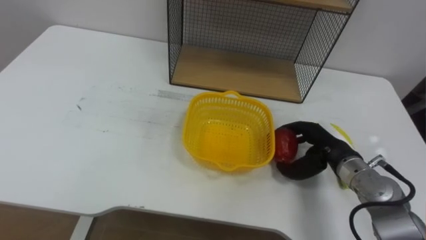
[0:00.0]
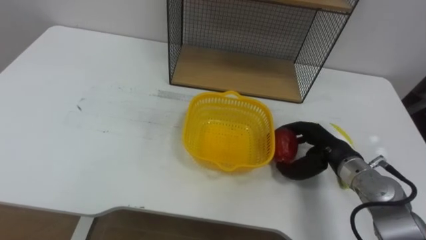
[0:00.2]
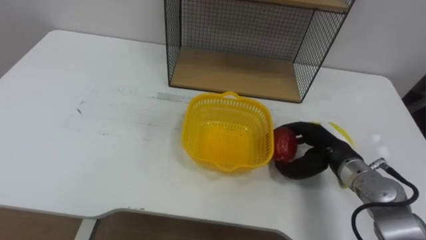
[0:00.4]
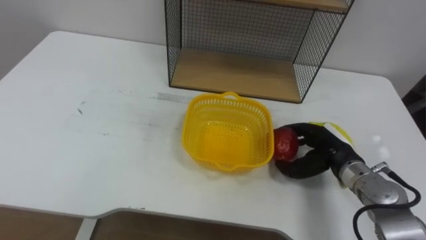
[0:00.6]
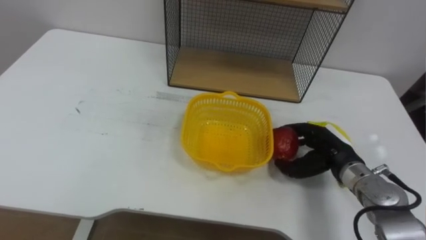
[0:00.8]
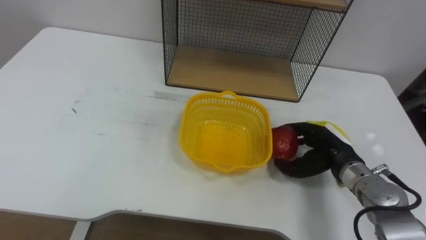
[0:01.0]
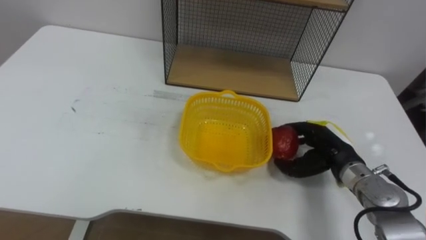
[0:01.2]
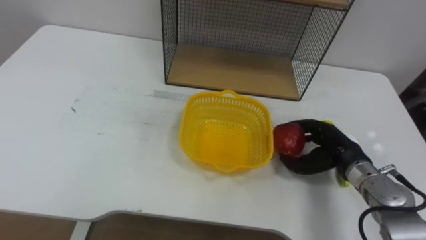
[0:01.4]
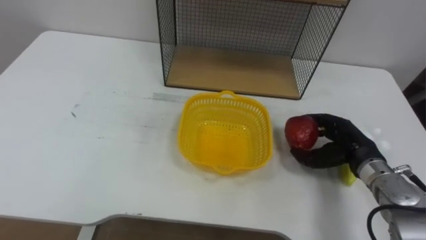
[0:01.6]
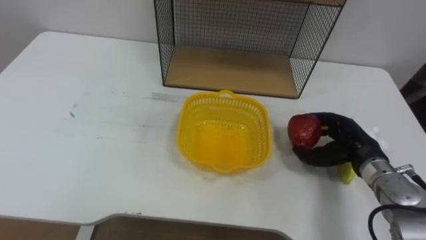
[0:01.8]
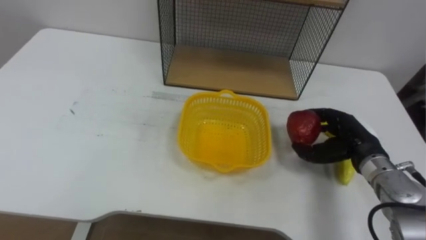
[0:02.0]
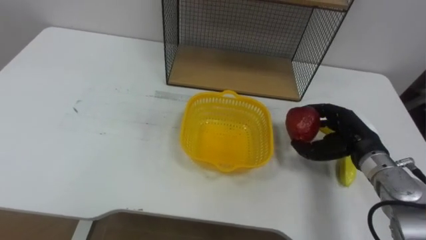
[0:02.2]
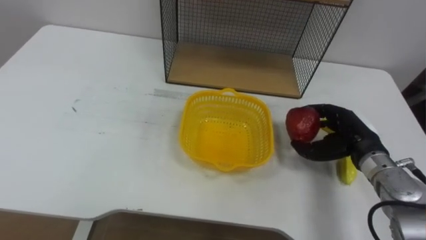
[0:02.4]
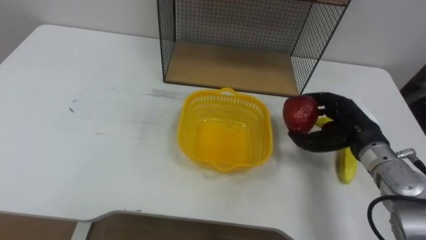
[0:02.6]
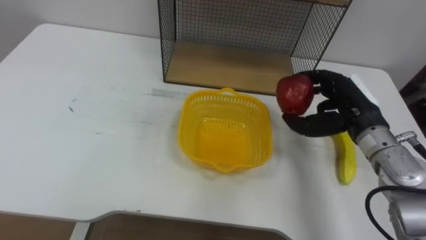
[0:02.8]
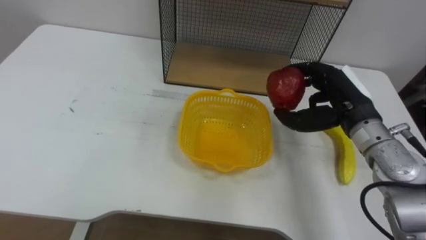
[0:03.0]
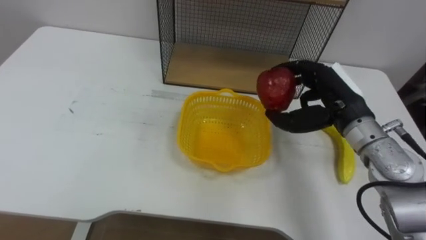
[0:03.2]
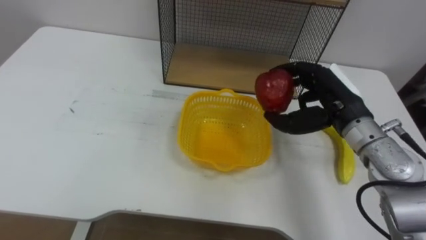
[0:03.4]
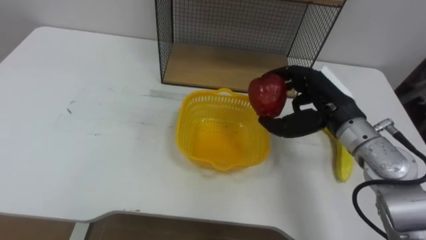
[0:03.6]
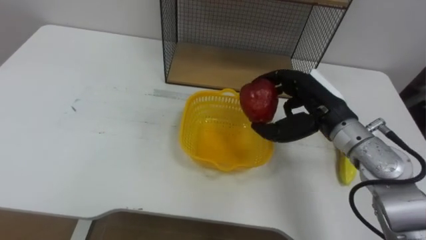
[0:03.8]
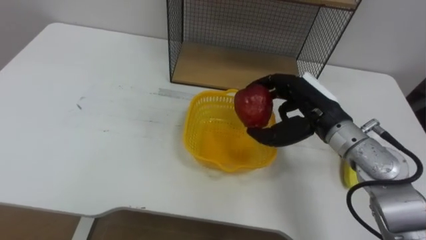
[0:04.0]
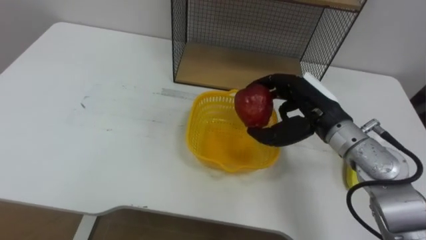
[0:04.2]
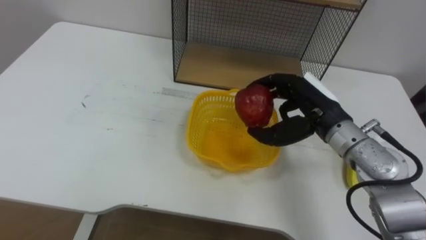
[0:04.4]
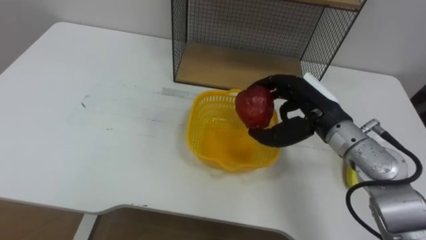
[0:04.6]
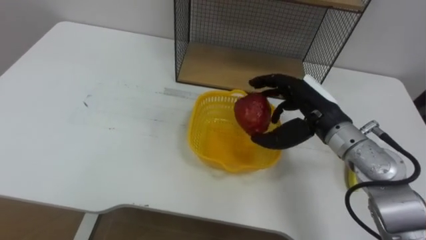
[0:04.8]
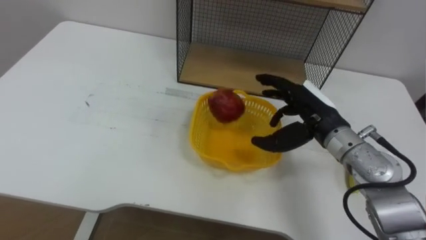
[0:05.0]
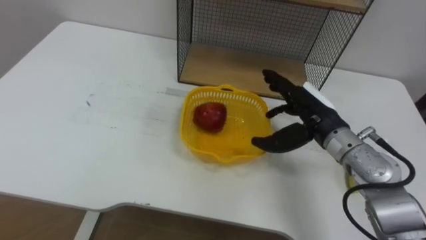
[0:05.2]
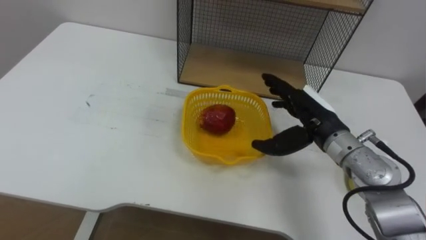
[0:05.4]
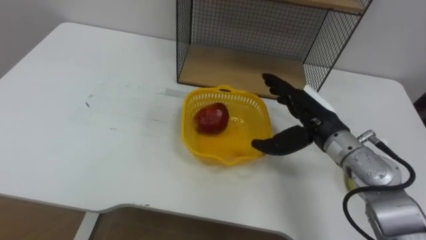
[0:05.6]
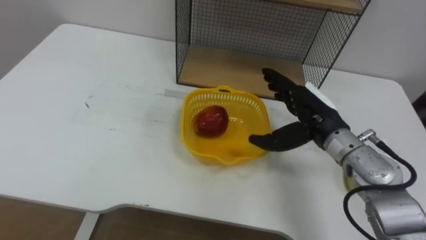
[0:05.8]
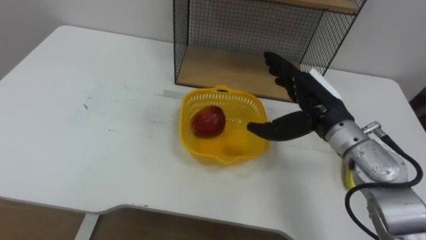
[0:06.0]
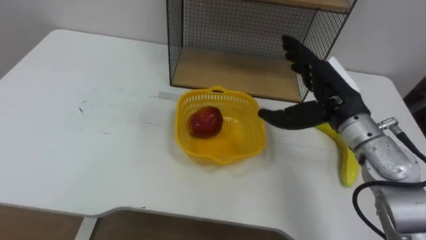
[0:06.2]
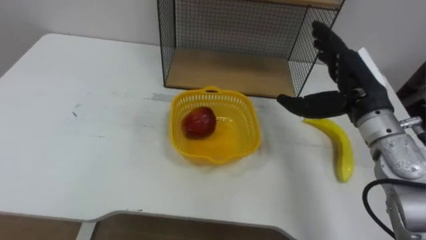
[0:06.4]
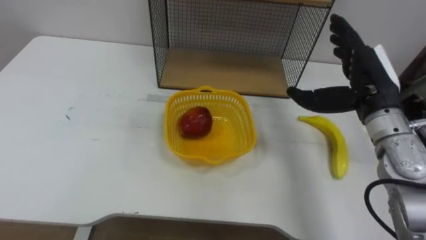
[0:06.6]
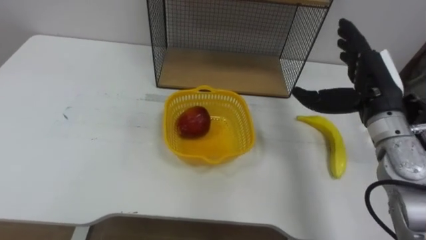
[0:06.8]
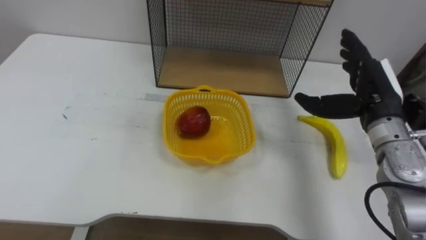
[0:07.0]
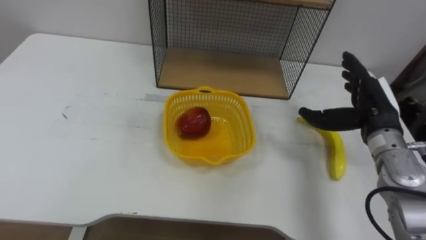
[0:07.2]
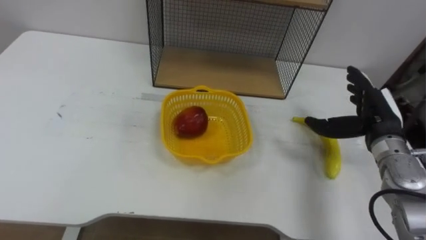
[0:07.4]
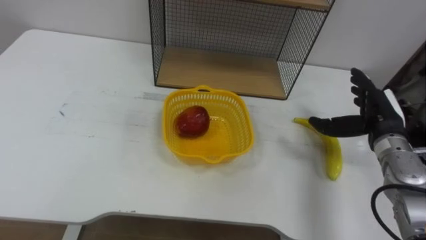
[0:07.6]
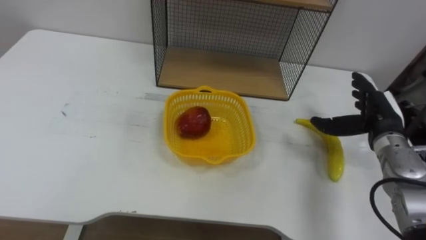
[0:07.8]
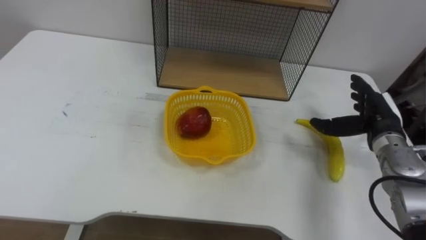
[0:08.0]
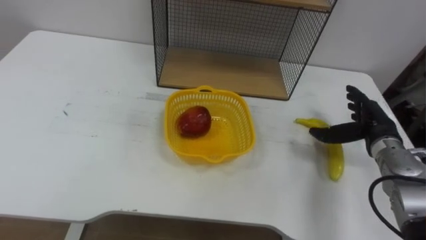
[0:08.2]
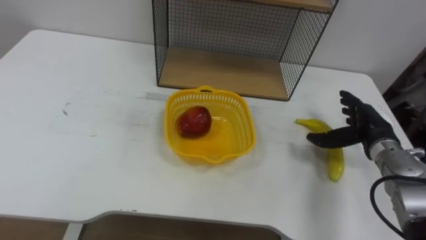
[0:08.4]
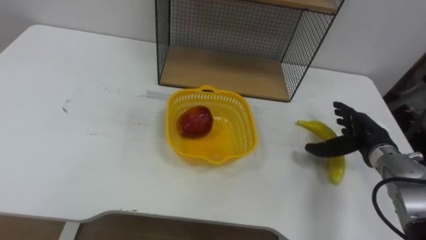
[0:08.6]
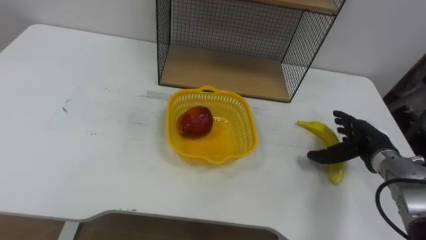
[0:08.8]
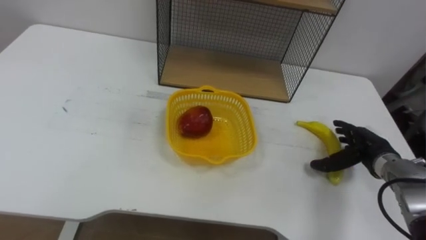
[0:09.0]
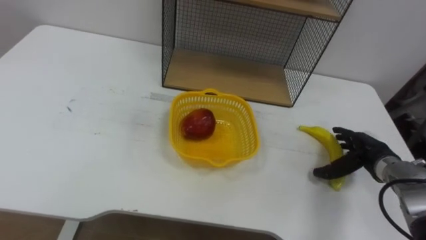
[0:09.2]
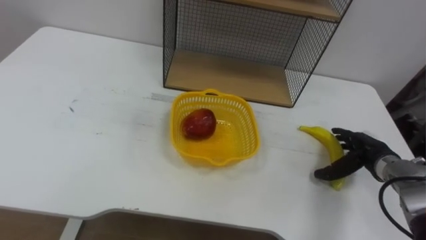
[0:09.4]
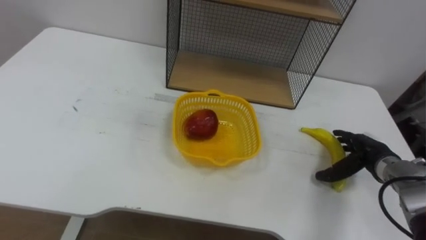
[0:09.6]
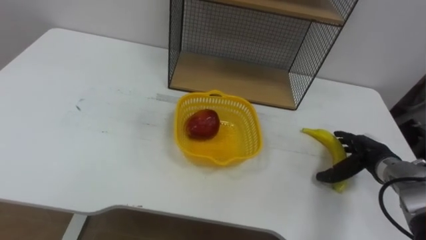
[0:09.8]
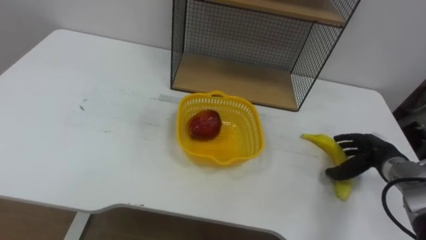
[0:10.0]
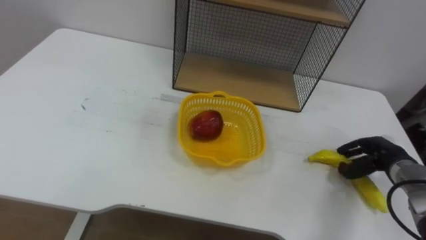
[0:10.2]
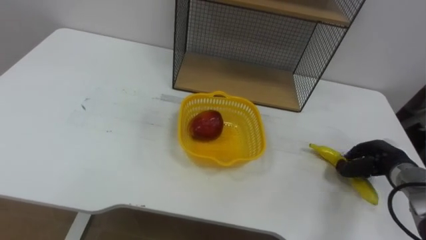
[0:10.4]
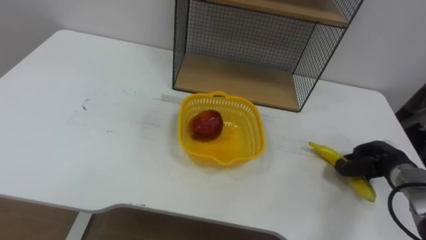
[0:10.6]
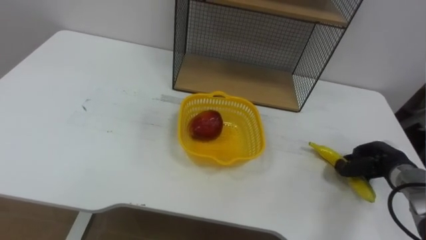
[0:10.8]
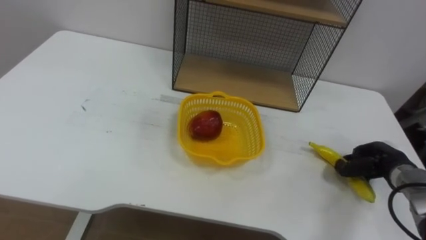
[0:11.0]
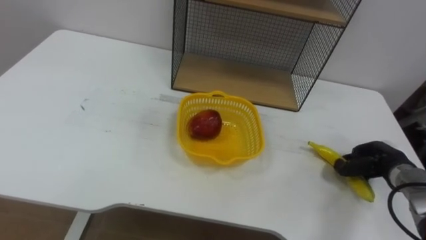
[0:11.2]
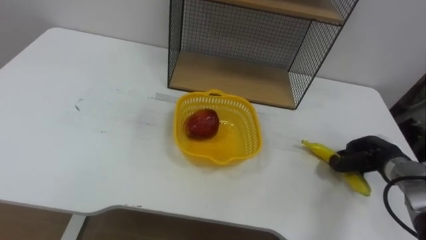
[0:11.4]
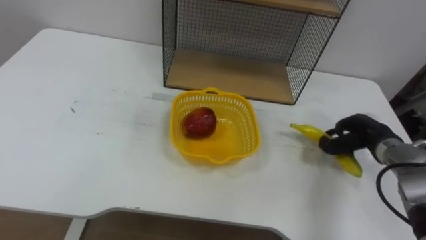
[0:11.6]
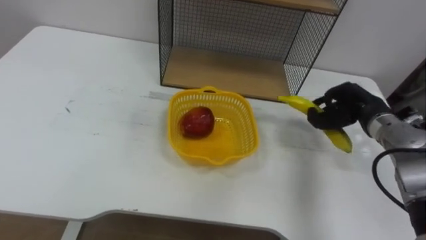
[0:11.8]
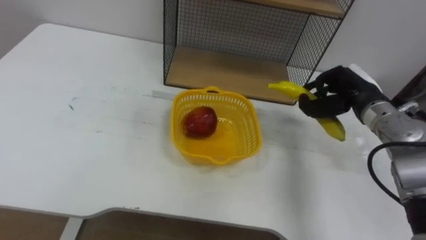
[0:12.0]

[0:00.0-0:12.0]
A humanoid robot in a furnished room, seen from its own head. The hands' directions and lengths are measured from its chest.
Task of the whole recording: Put the fruit on the table into the basket, then place the basket on the shelf.
0:01.6 to 0:03.0: The right hand moves upward, roughly 10 cm.
0:03.0 to 0:04.4: The right hand goes approximately 5 cm to the left.
0:04.4 to 0:06.0: The right hand opens its fingers.
0:06.0 to 0:07.6: The right hand goes some 15 cm to the right and downward.
0:07.6 to 0:09.0: The right hand heads downward, covering about 10 cm.
0:09.0 to 0:10.4: The right hand closes its fingers.
0:10.4 to 0:12.0: The right hand heads upward, to the left and forward, covering roughly 15 cm.

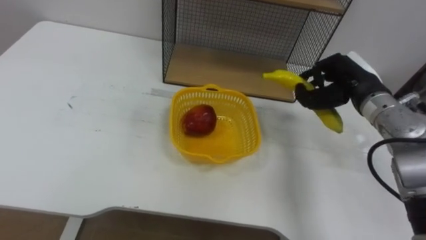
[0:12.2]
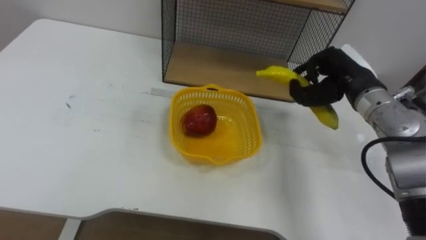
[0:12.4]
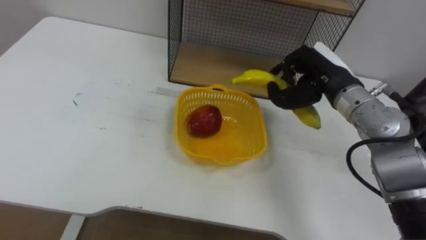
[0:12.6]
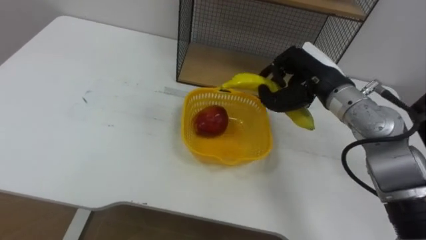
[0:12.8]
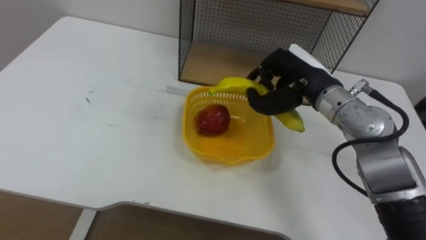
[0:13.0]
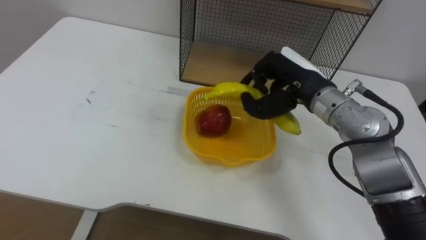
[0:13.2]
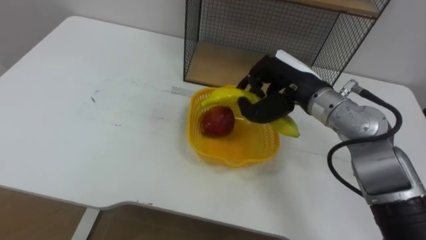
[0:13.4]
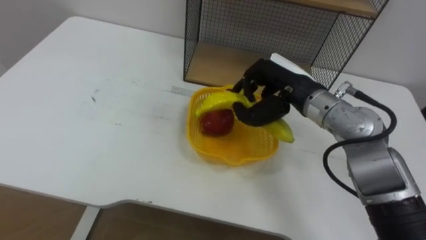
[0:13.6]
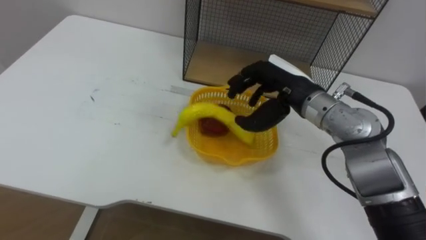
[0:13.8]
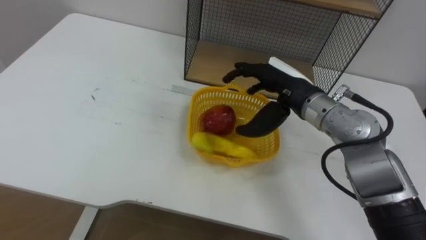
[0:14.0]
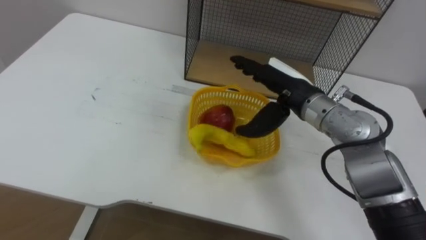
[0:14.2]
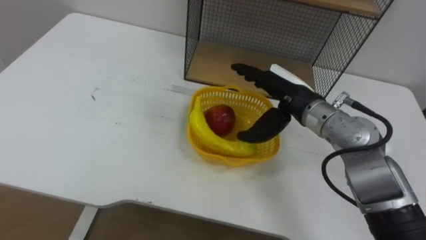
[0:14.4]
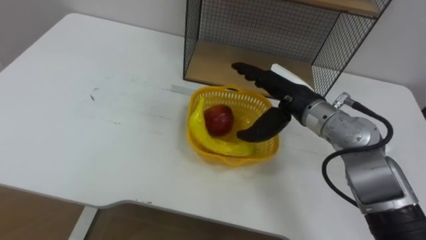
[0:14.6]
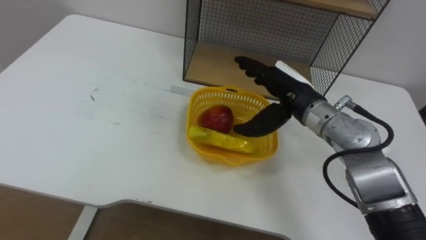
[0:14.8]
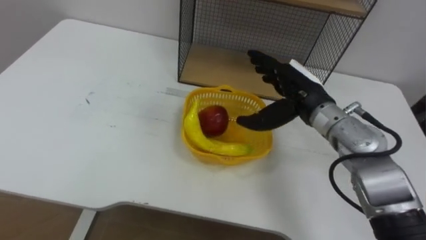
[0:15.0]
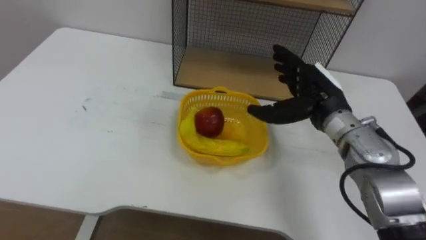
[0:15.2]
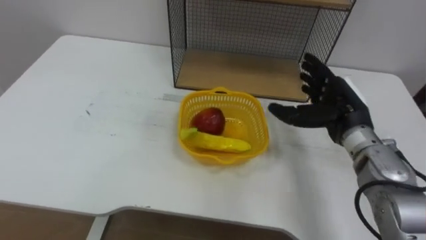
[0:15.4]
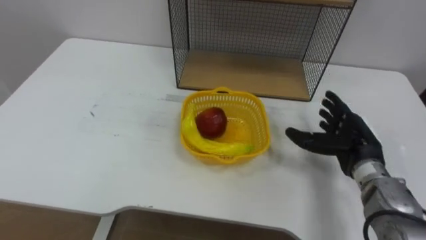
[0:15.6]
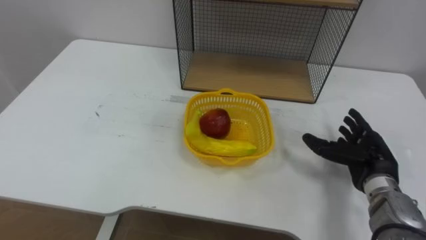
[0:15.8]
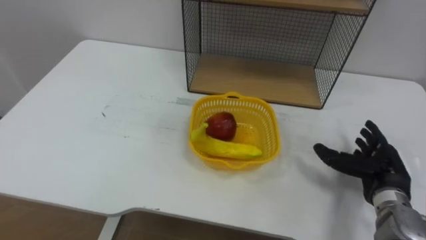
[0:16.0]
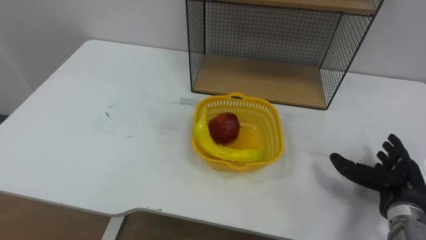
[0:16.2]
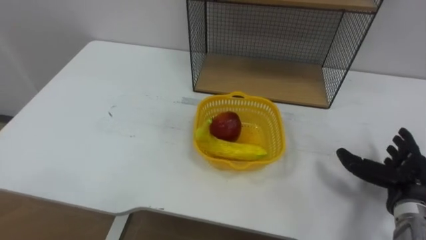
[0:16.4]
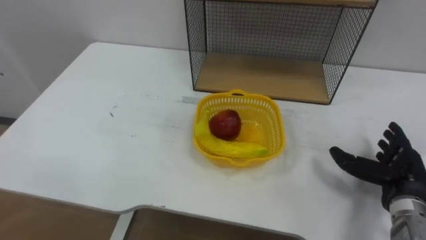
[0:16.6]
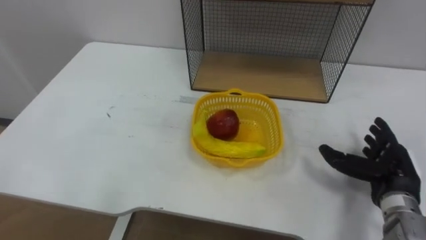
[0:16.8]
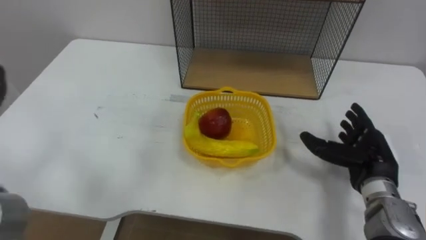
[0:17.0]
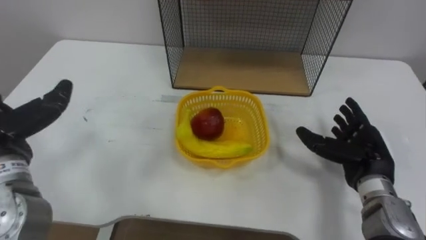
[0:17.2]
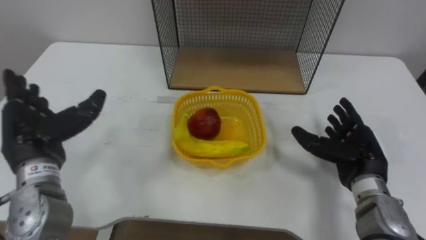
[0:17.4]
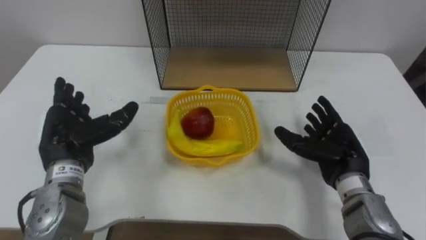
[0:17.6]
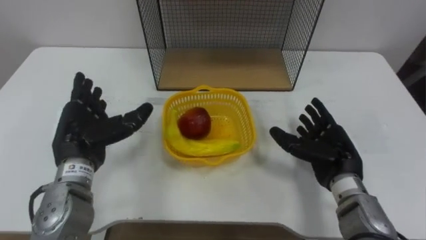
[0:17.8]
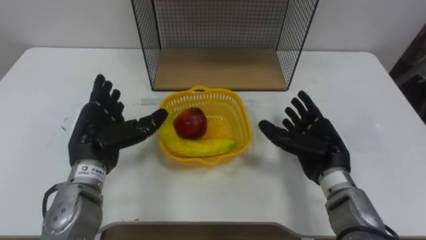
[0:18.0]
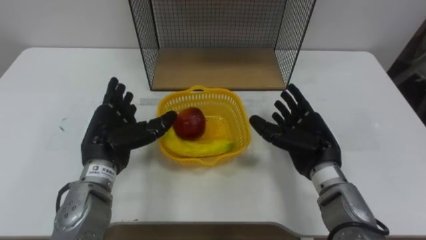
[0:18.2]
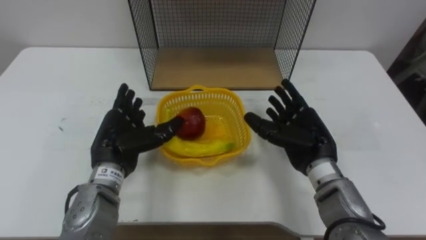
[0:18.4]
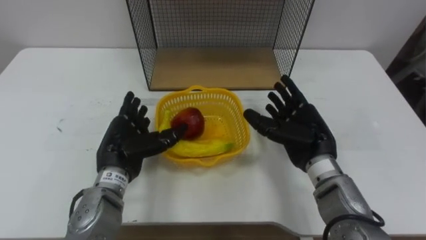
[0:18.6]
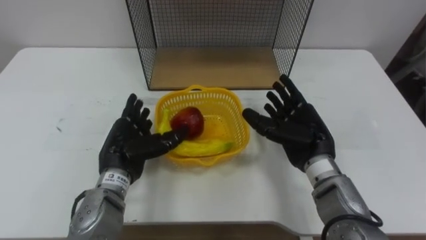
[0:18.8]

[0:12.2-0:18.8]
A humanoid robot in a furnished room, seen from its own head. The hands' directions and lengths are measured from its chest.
Task of the whole recording: Put the fruit on the table into the basket, then place the basket on the shelf.
0:12.2 to 0:13.8: The right hand moves to the left, approximately 15 cm.
0:13.8 to 0:15.4: The right hand shifts some 10 cm to the right.
0:15.4 to 0:17.2: The right hand heads backward and downward, covering about 10 cm.
0:17.2 to 0:18.8: The right hand shifts approximately 10 cm to the left.
